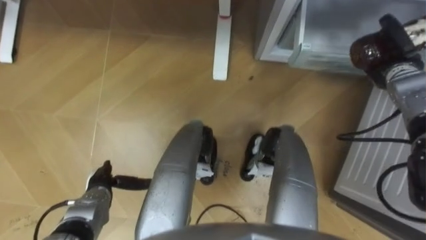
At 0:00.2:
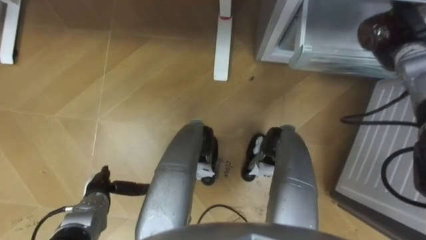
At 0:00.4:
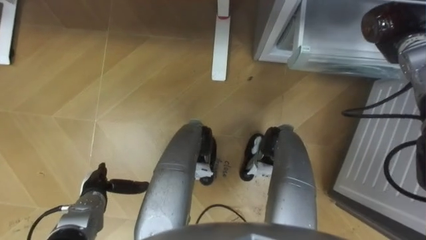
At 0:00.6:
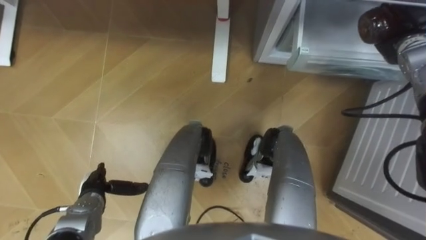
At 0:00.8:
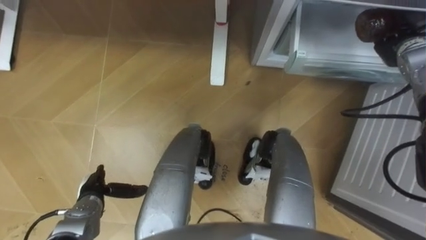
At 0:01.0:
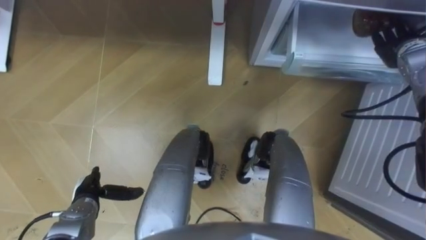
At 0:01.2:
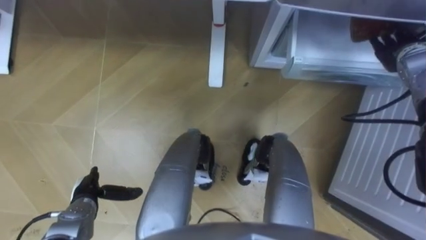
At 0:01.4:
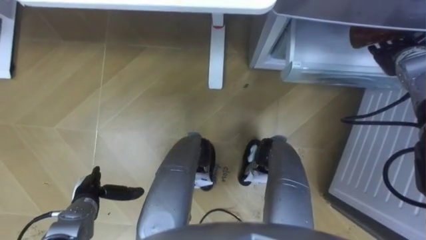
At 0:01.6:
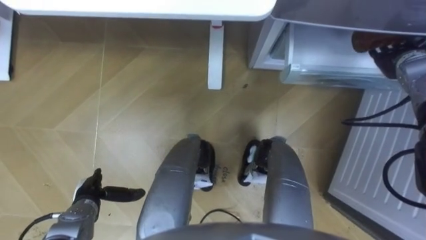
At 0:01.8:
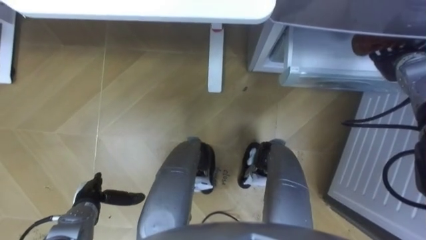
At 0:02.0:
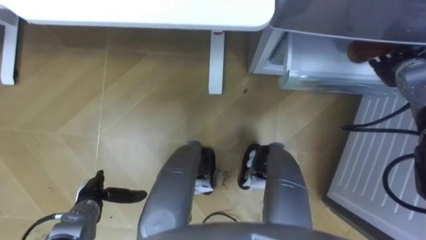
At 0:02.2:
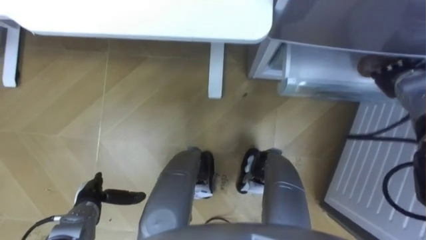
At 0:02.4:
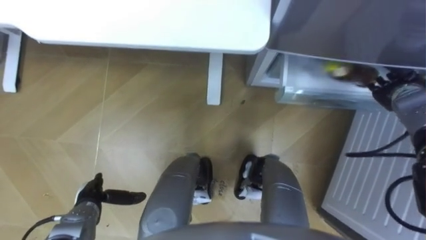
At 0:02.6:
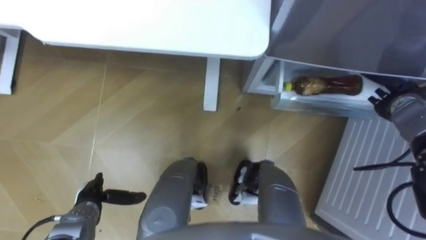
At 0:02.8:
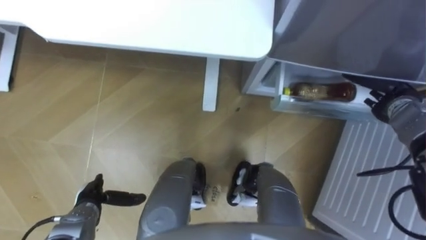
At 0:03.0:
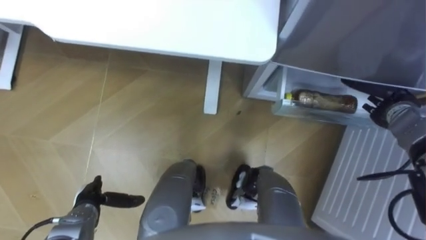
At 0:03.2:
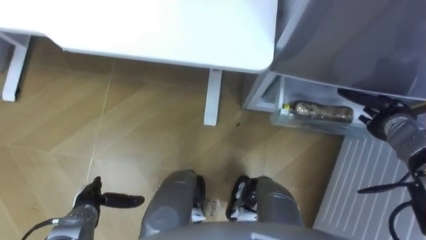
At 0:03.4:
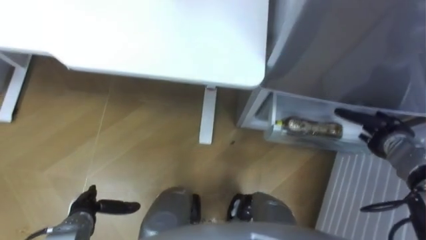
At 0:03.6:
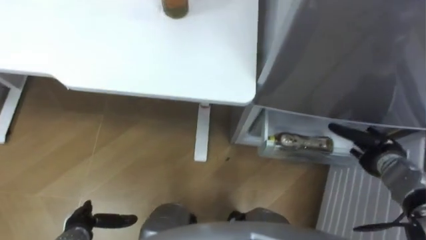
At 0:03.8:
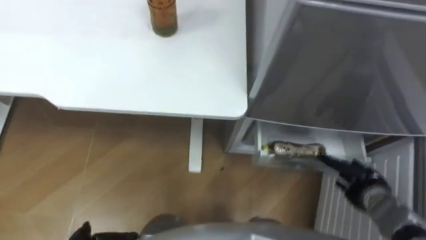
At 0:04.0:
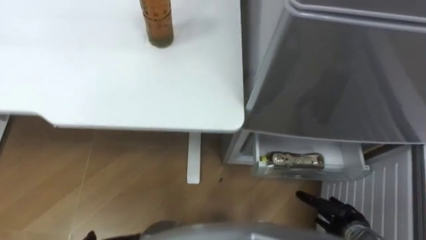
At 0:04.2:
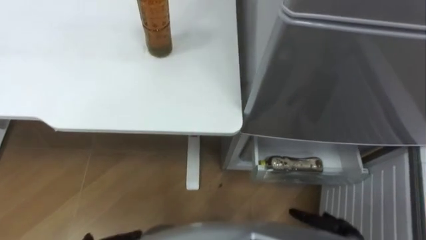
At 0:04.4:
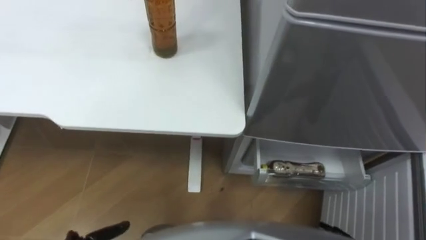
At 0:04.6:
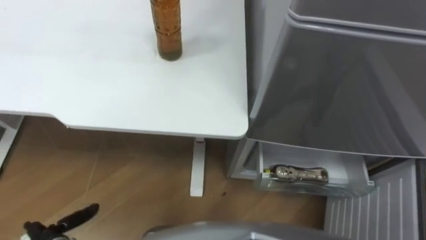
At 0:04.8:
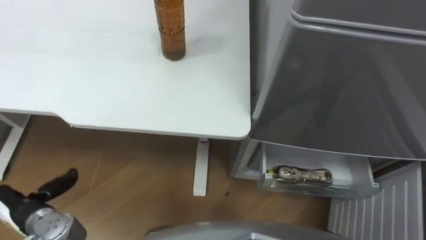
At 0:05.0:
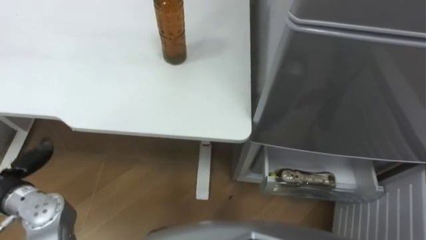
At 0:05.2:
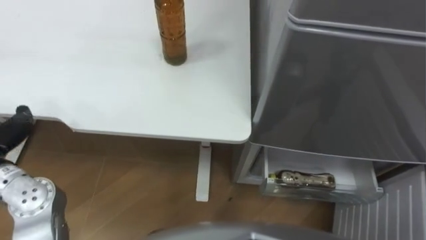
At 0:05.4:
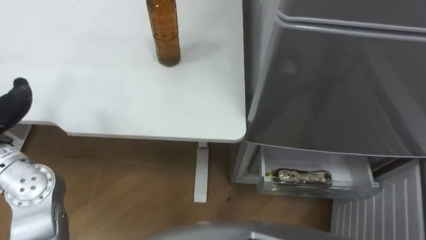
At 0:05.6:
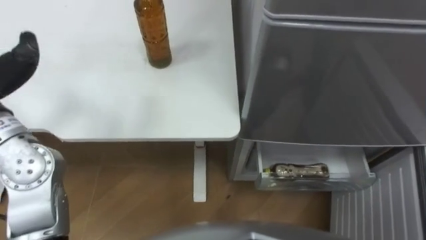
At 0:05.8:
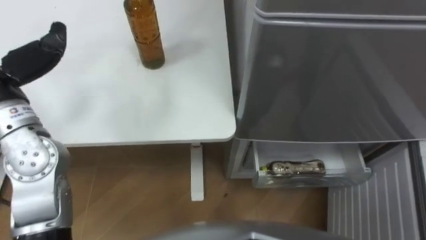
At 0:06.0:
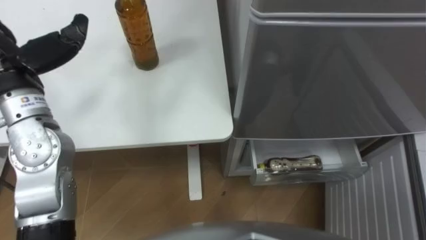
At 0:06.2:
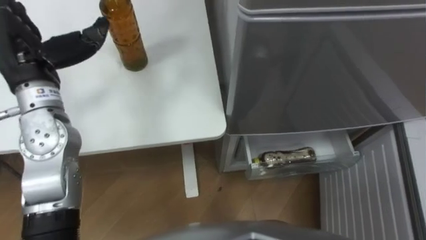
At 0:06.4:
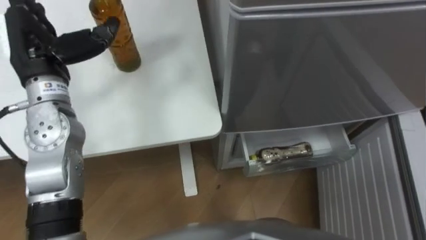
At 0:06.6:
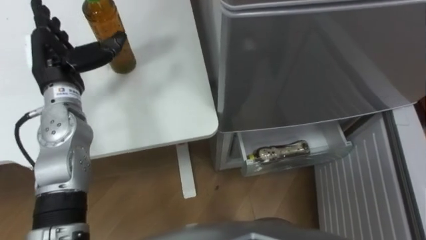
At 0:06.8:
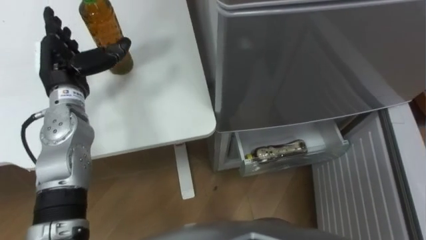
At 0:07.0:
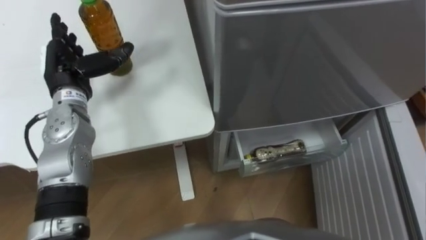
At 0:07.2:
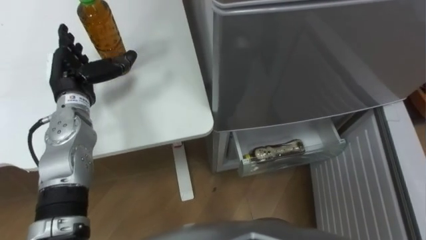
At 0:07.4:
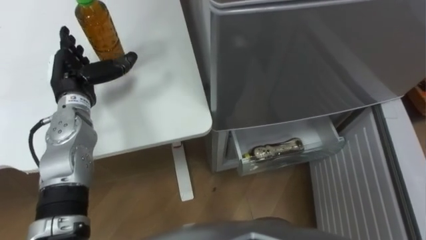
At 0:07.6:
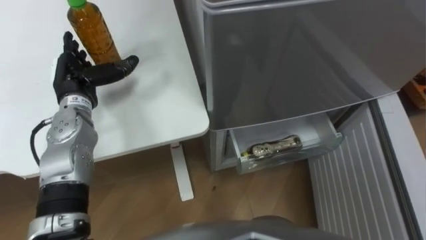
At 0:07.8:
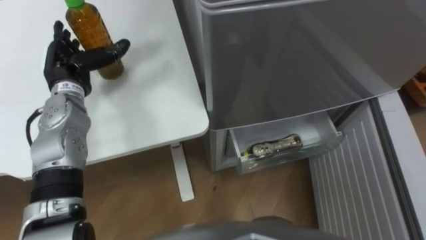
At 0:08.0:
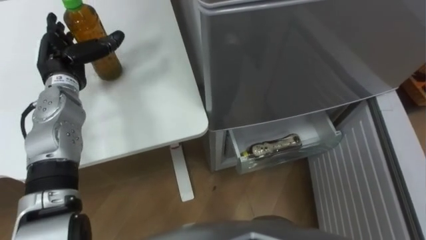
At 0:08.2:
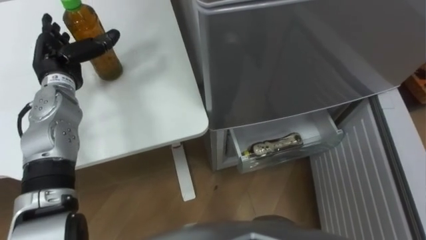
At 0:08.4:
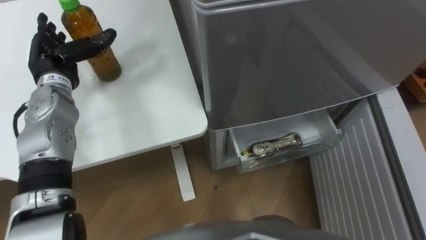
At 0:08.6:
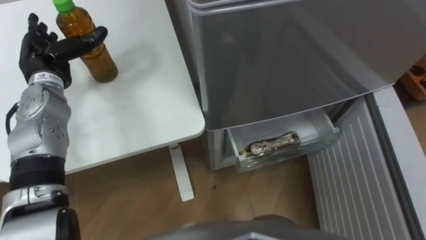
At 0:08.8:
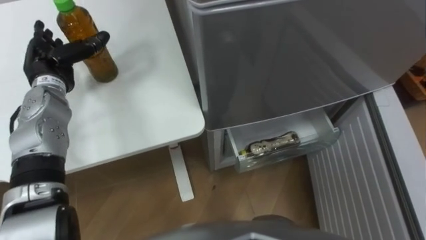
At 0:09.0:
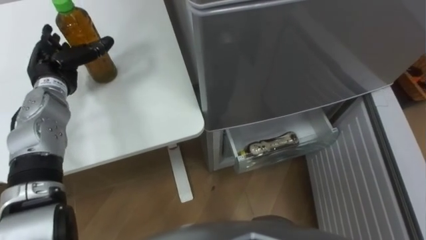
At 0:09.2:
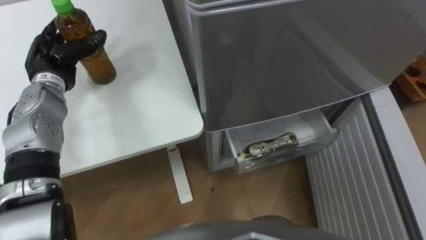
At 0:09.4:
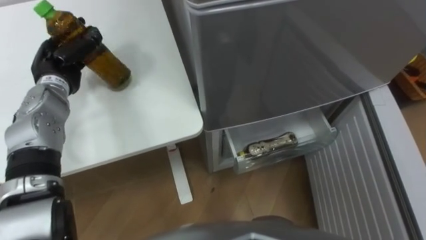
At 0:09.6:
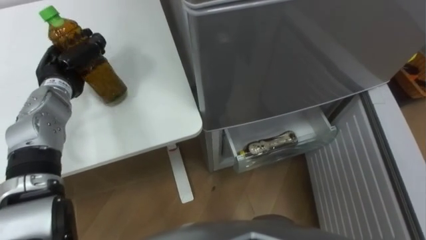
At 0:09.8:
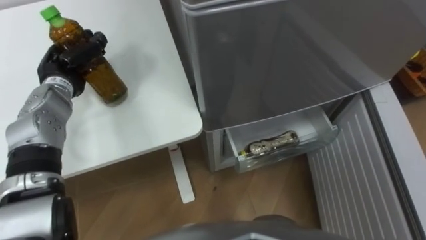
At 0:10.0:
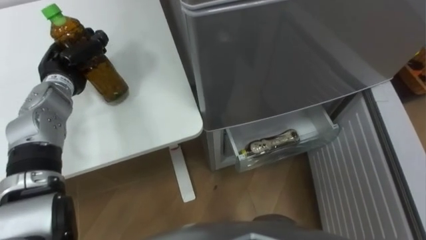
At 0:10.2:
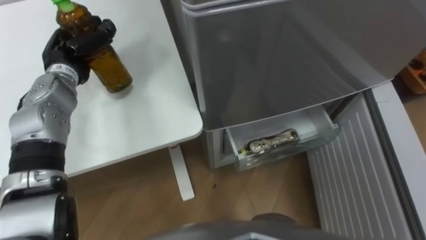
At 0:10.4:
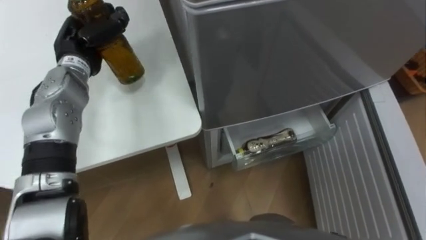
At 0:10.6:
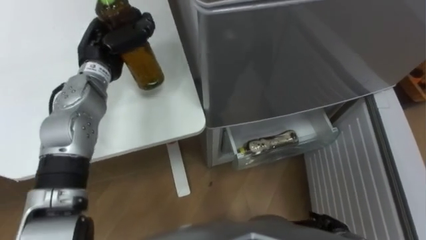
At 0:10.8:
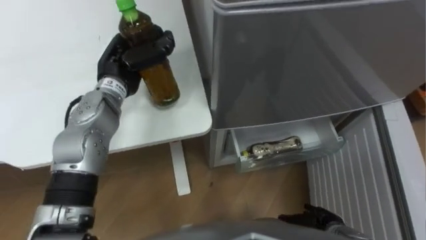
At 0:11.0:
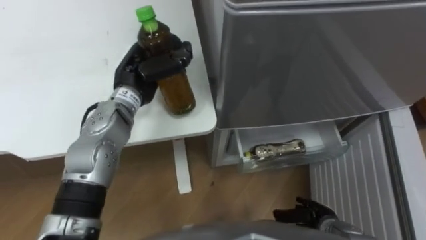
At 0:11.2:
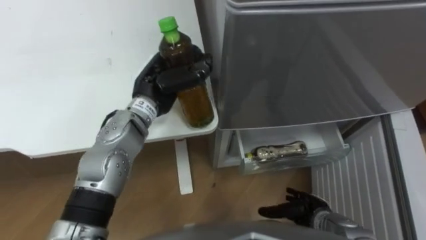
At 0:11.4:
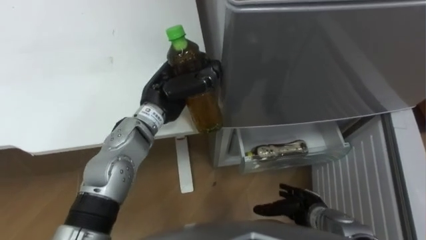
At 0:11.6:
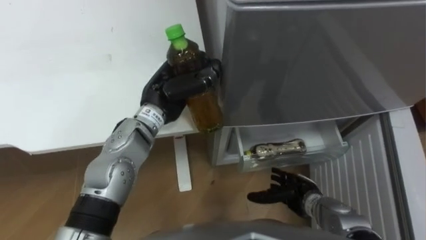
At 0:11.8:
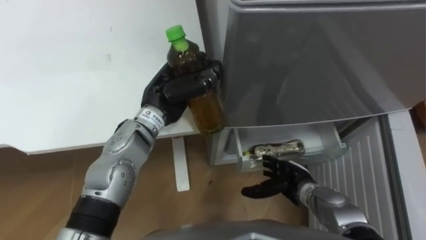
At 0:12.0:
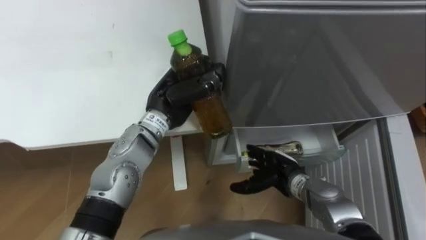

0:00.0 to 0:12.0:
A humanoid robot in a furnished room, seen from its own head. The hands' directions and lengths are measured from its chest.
Task of the whole recording: Place the drink on the table on the bottom shelf of the refrigerator, then close the drawer and the refrigerator door.
0:00.0 to 0:01.6: The right hand opens up.
0:01.6 to 0:03.0: The right hand shifts approximately 10 cm downward and backward.
0:09.0 to 0:10.4: The left hand is displaced to the right by about 5 cm, and closes up.
0:10.4 to 0:12.0: The left hand heads to the right and backward, covering roughly 20 cm.

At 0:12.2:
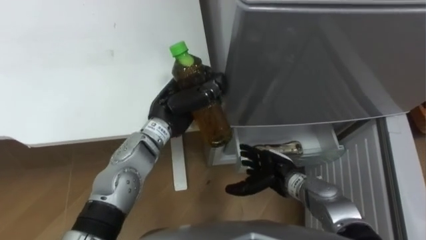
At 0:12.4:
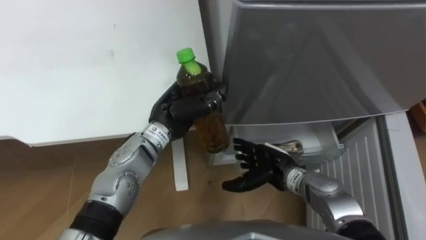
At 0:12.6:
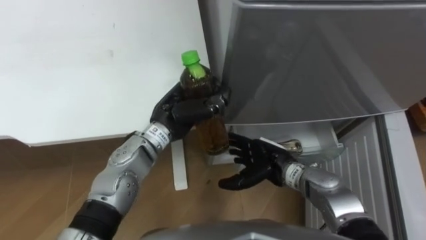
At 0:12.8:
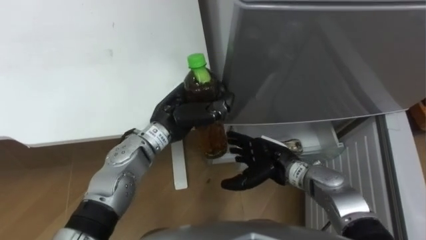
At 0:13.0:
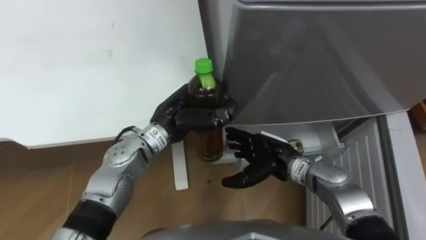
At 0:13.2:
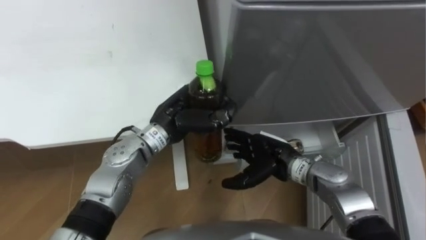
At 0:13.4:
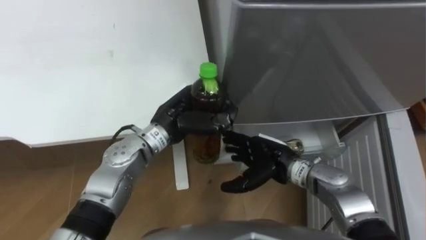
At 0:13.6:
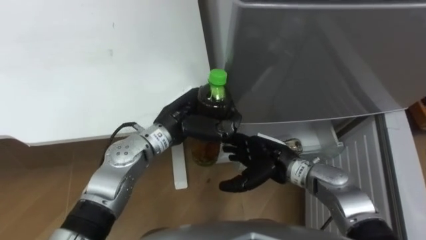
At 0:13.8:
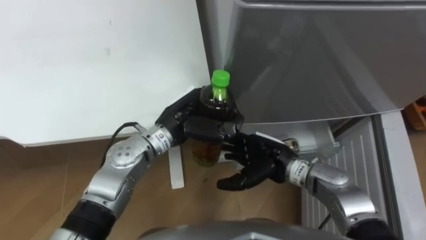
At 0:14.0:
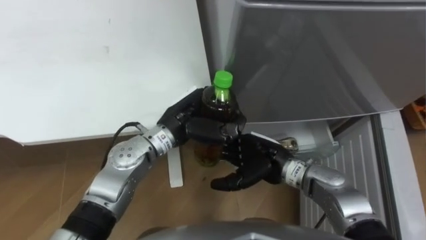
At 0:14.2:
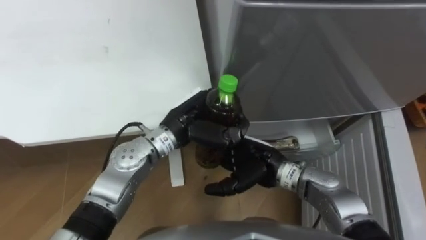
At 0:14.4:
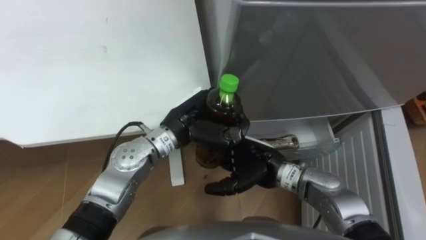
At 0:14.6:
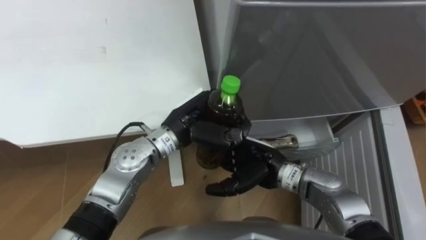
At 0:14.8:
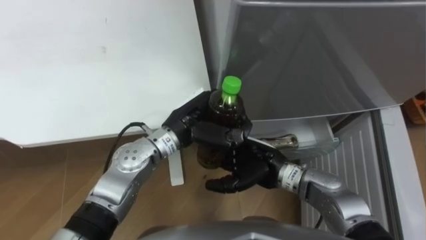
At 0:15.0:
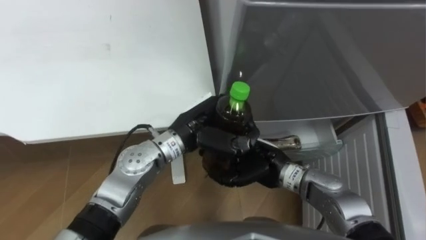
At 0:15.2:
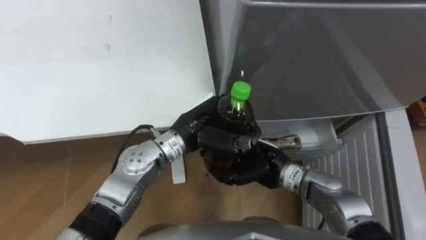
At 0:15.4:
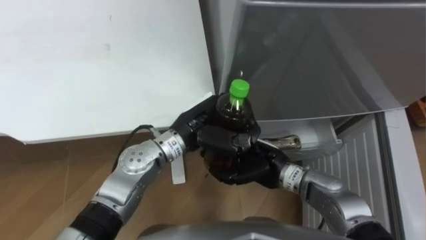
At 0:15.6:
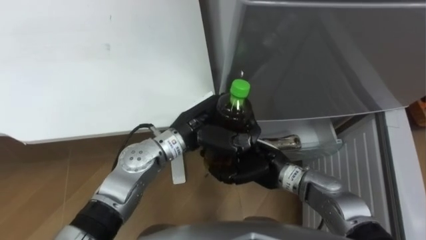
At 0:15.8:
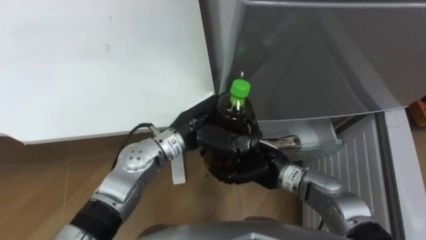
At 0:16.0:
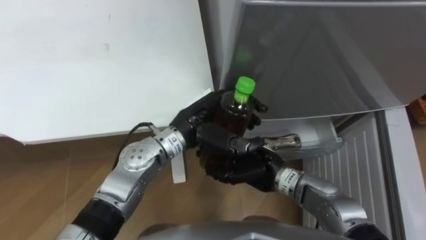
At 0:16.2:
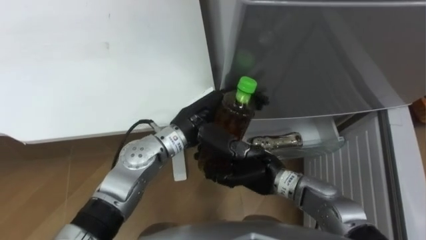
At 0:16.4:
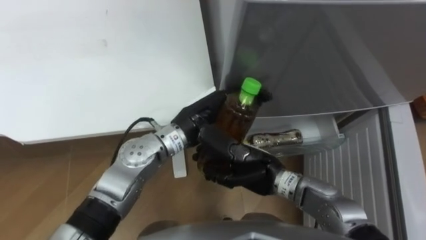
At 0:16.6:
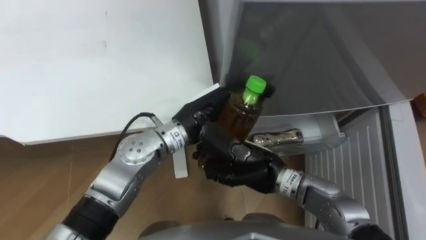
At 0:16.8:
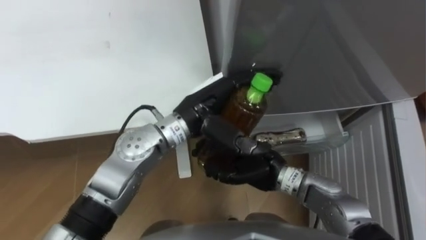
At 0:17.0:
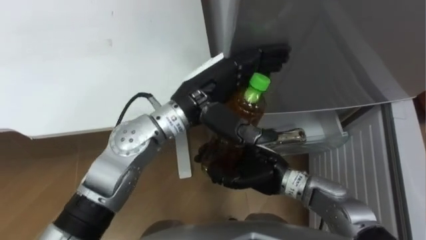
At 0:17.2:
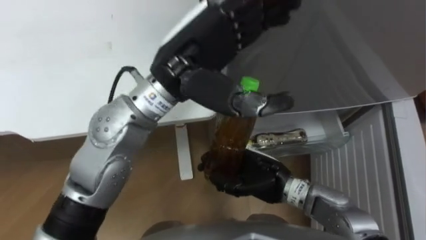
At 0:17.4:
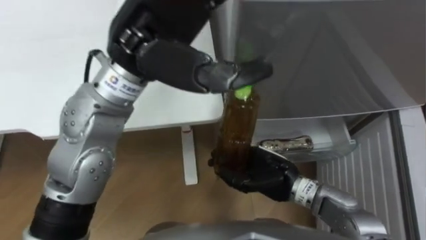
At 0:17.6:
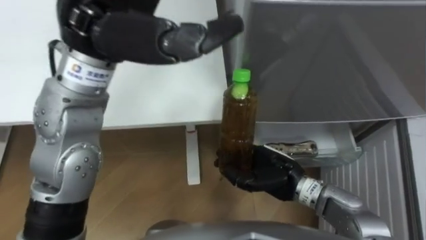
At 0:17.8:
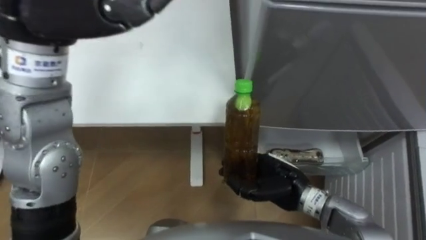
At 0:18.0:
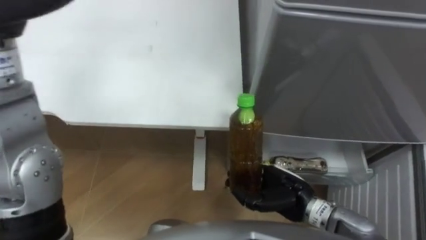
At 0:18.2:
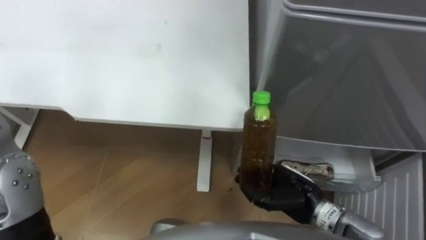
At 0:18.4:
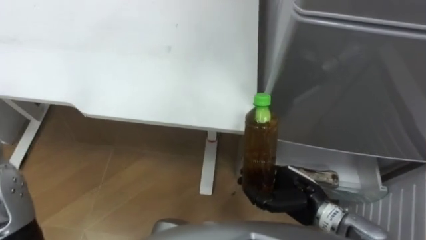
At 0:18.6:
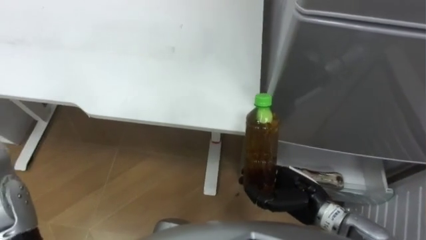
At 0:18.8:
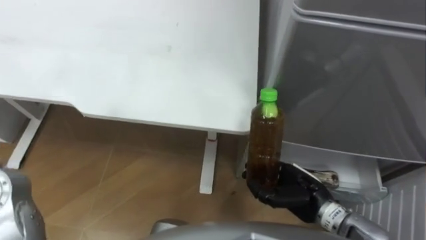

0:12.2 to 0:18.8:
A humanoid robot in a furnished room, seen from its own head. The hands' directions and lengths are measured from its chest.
Task of the whole recording: Place the drink on the table on the bottom shelf of the refrigerator, then close the drawer and the refrigerator door.
0:12.2 to 0:13.8: The right hand travels upward by some 5 cm.
0:13.8 to 0:15.4: The right hand closes its fingers.
0:15.4 to 0:17.2: The left hand is displaced upward by approximately 20 cm, and opens.
0:17.2 to 0:18.8: The right hand travels to the right by roughly 10 cm.
